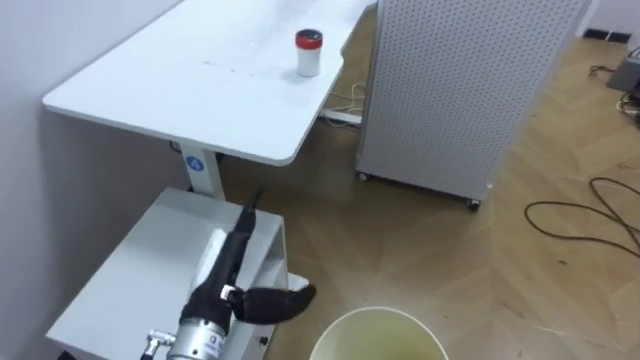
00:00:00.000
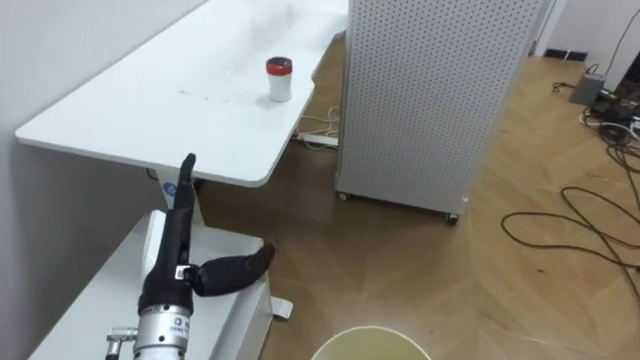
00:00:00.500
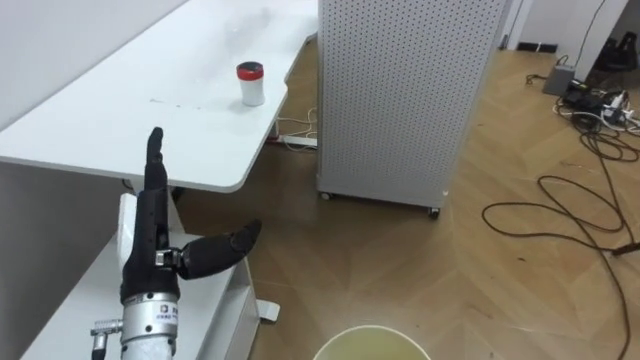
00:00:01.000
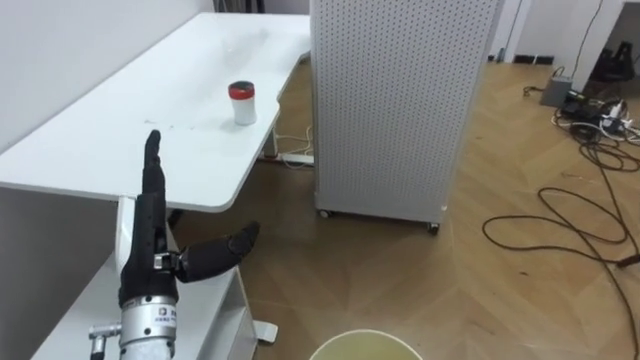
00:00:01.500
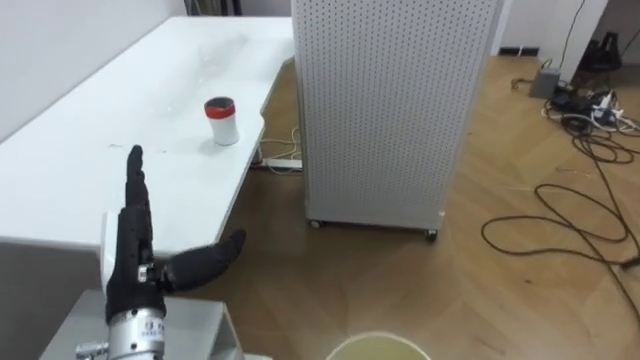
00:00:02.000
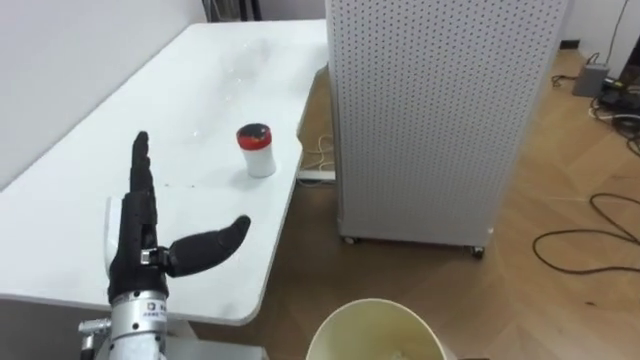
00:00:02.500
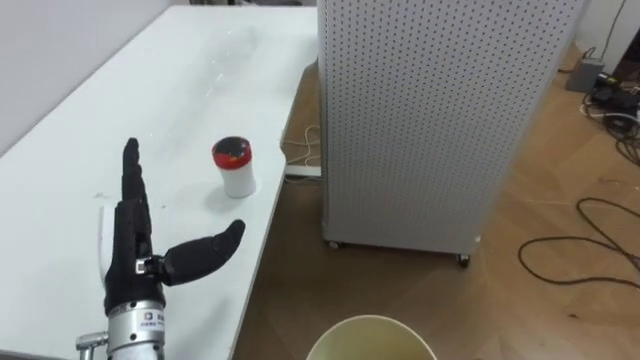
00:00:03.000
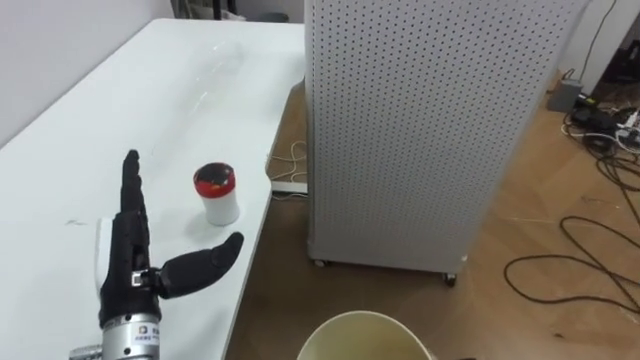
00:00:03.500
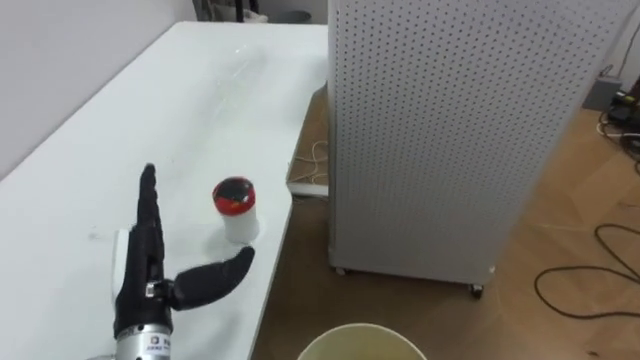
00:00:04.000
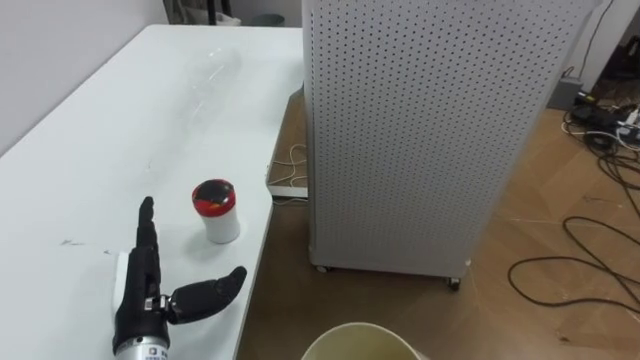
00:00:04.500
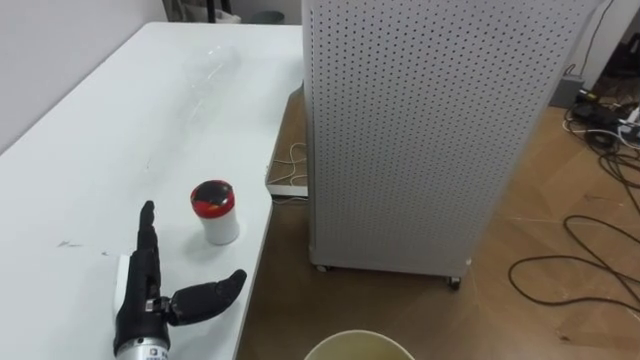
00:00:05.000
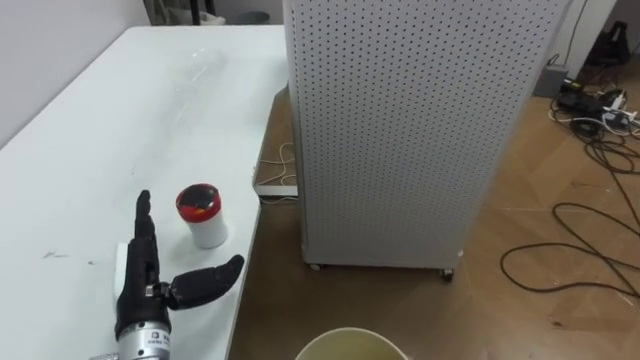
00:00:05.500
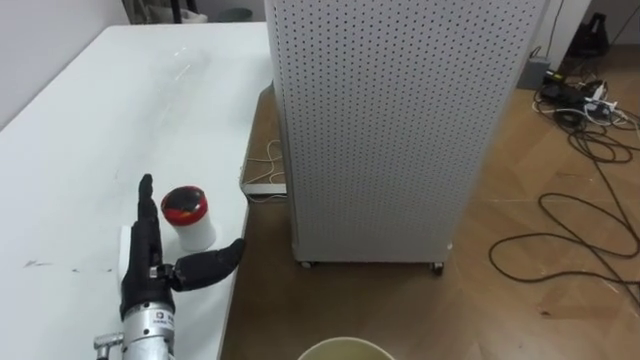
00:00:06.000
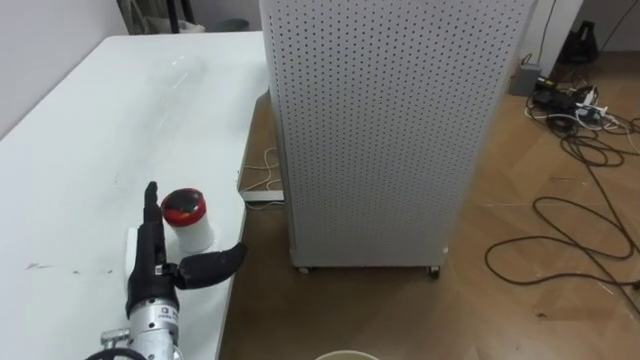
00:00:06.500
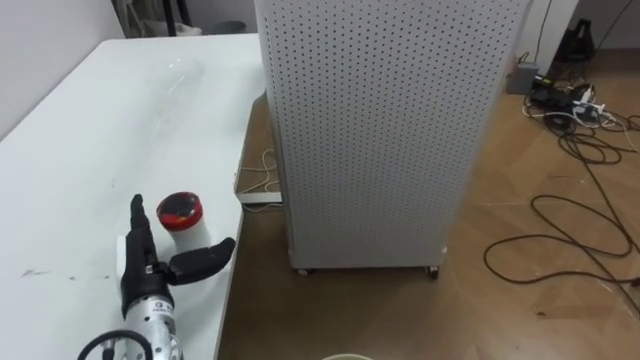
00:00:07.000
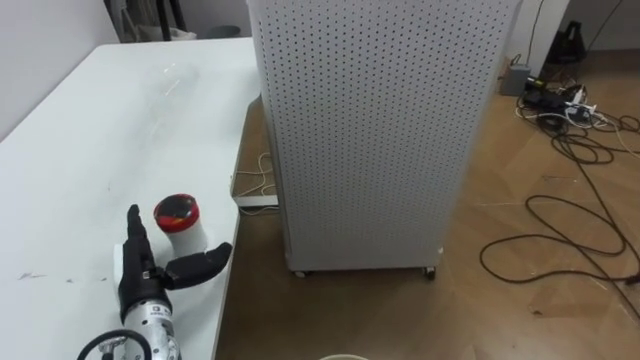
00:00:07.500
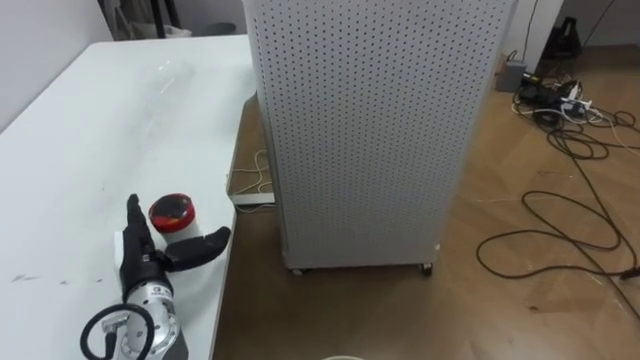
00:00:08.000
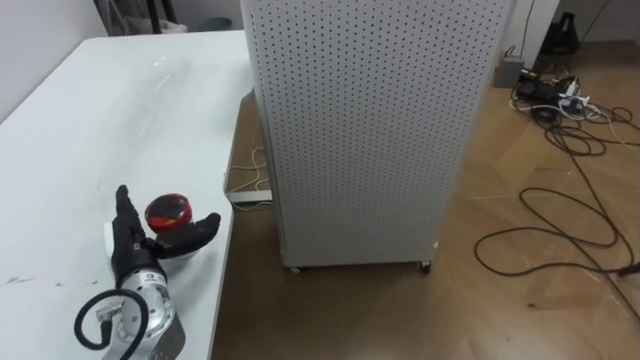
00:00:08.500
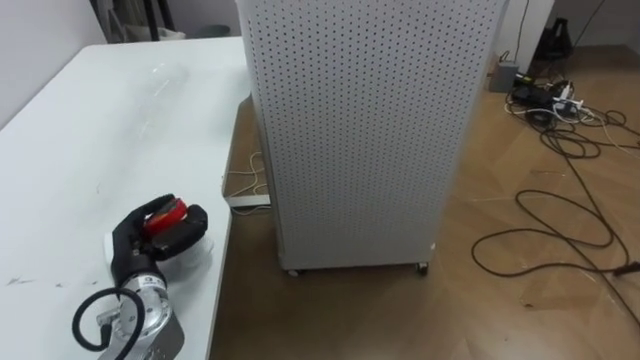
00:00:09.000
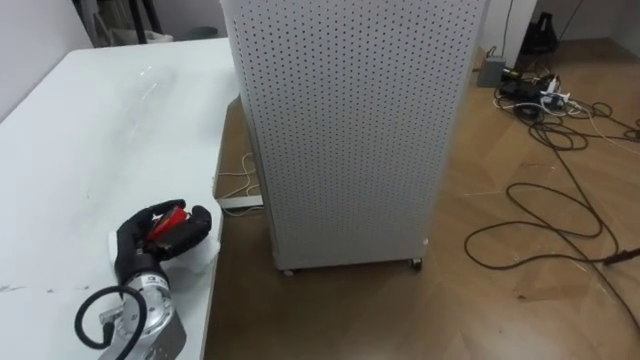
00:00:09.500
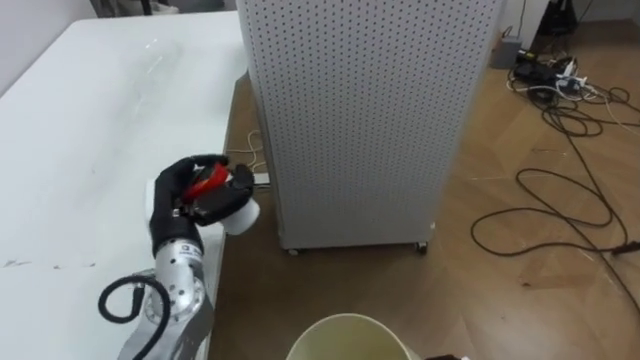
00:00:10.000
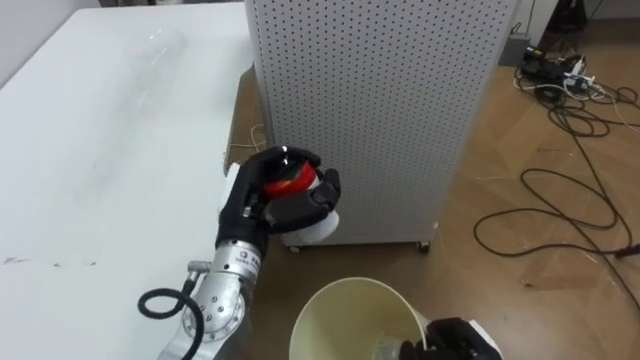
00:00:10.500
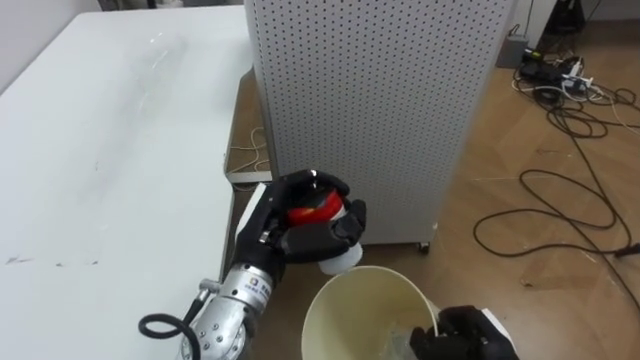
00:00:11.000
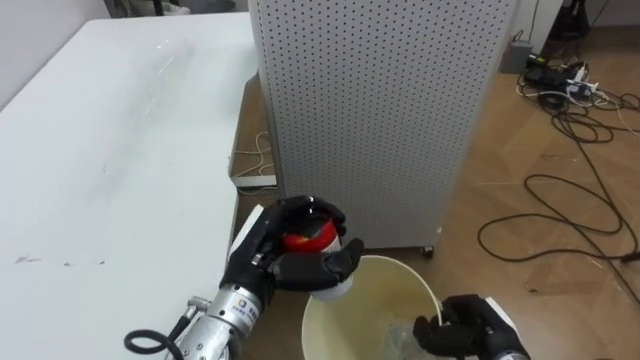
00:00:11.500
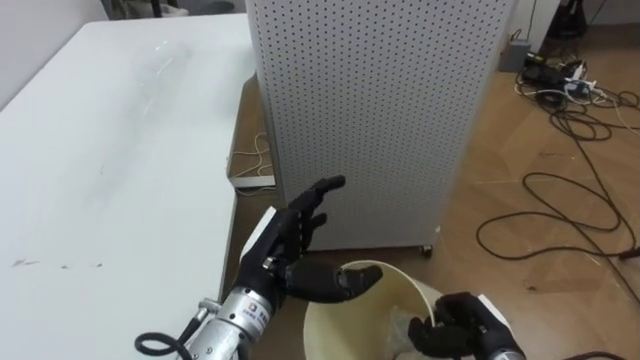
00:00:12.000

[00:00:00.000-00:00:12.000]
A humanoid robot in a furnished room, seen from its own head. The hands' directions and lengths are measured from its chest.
Task of the whole recording: Pick up the light blue package, the candy box, and the dark blue package separately, and put them into the trash can held in your right hand.
00:00:00.000 to 00:00:02.000: The left hand shifts about 10 cm to the left.
00:00:08.000 to 00:00:10.000: The left hand is displaced upward by roughly 5 cm, and closes up.
00:00:10.000 to 00:00:12.000: The left hand goes some 15 cm to the right and backward, and opens its fingers.

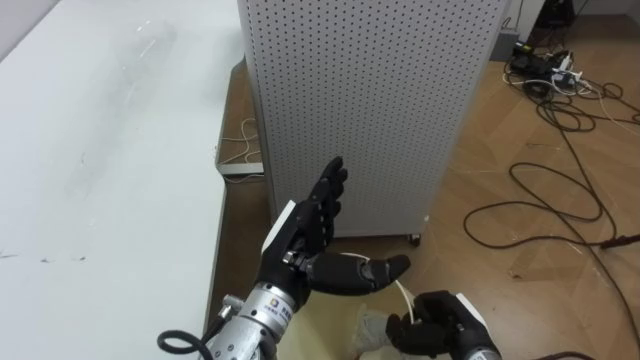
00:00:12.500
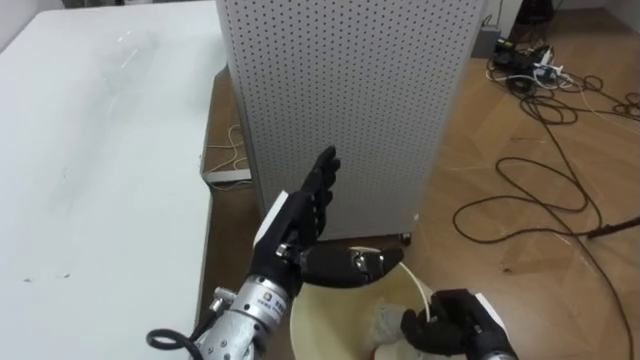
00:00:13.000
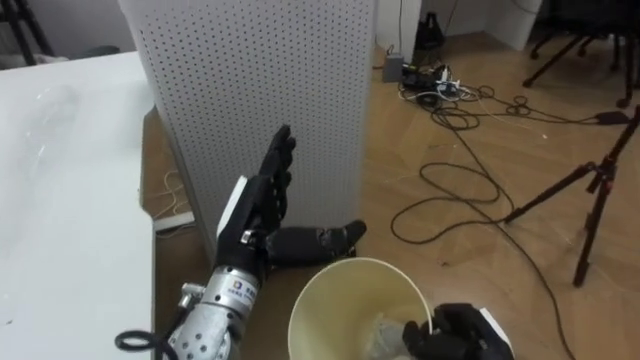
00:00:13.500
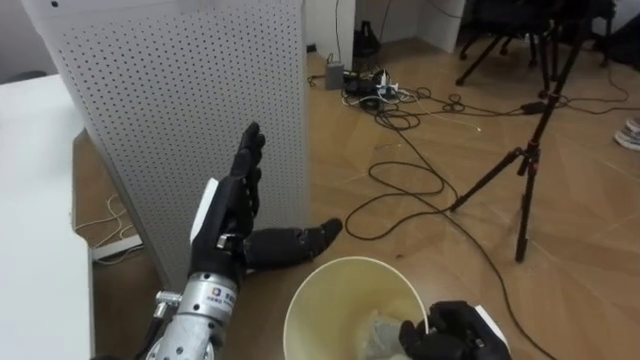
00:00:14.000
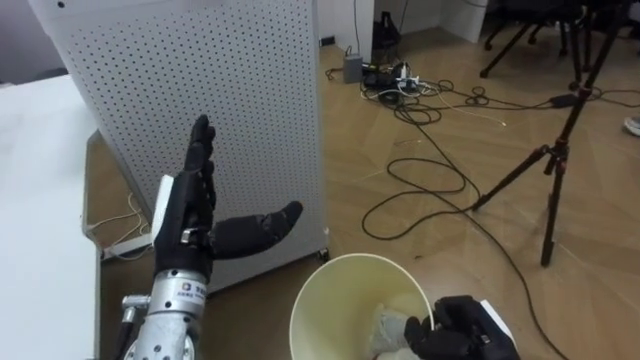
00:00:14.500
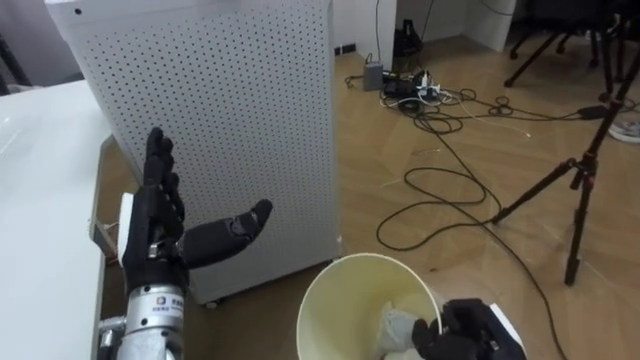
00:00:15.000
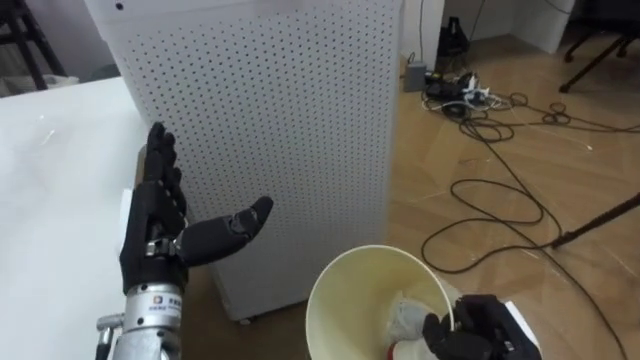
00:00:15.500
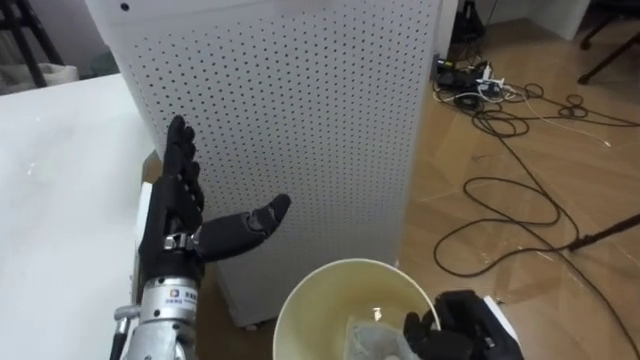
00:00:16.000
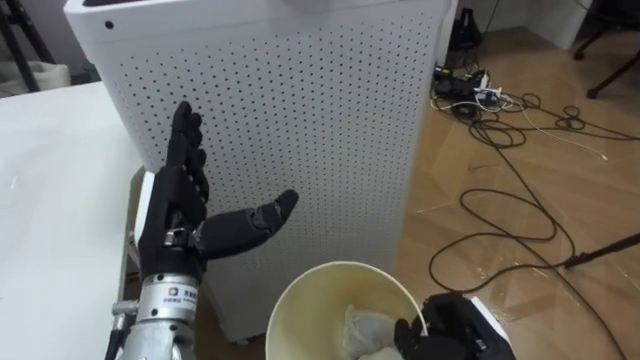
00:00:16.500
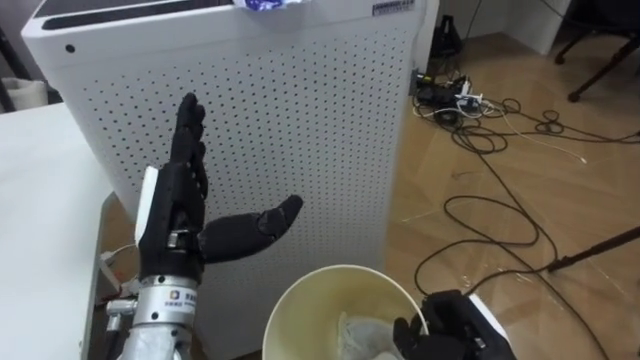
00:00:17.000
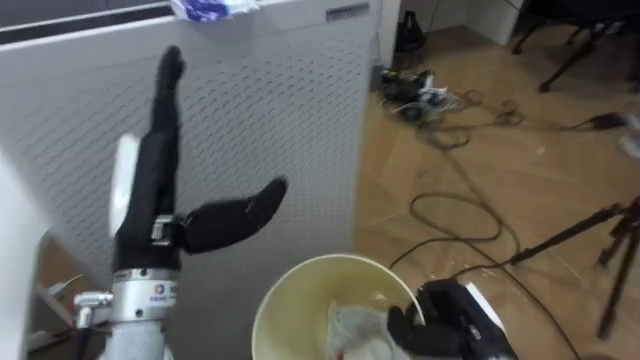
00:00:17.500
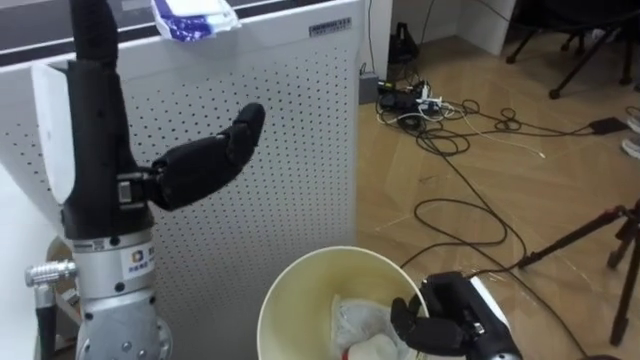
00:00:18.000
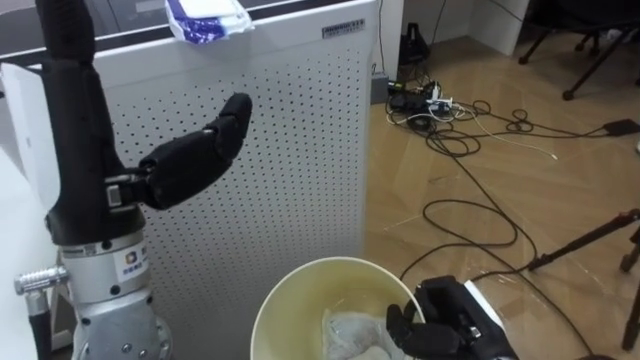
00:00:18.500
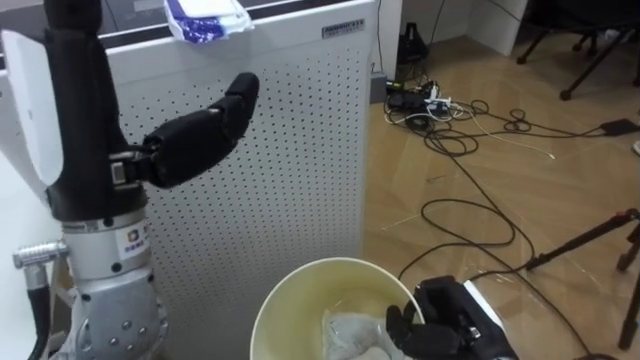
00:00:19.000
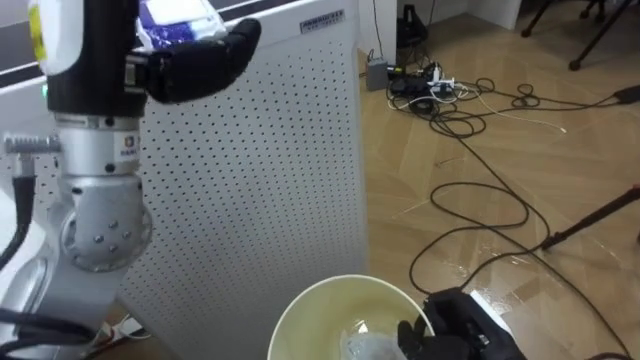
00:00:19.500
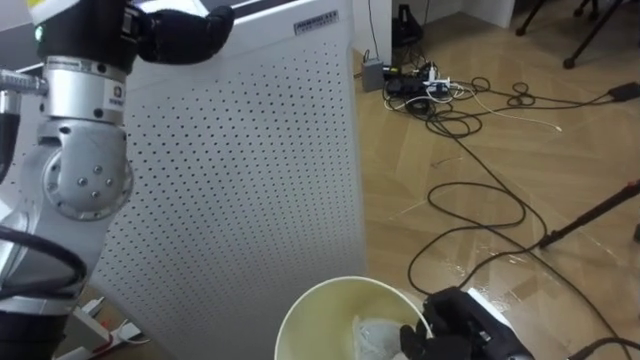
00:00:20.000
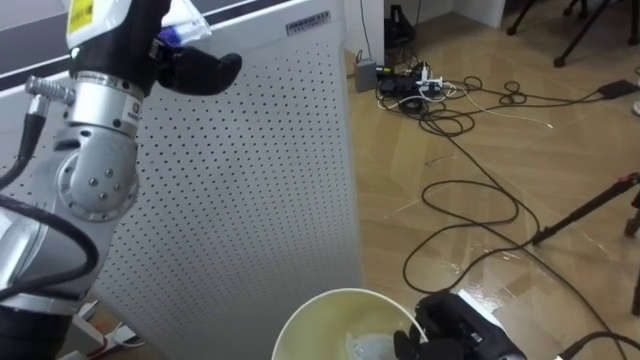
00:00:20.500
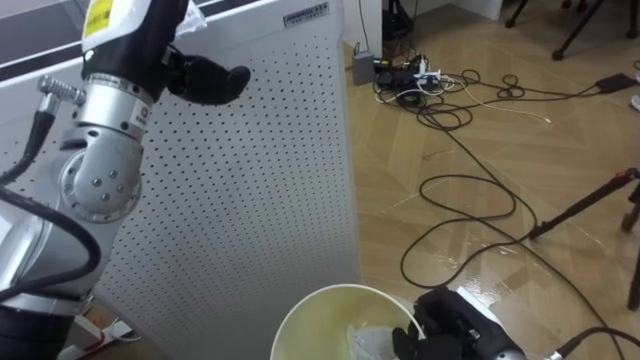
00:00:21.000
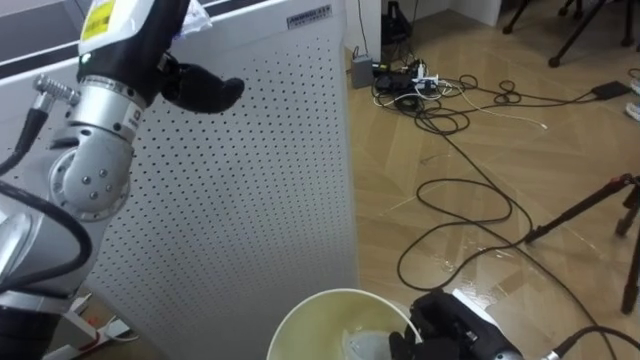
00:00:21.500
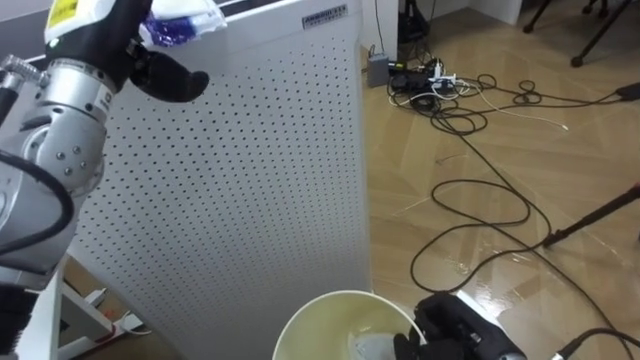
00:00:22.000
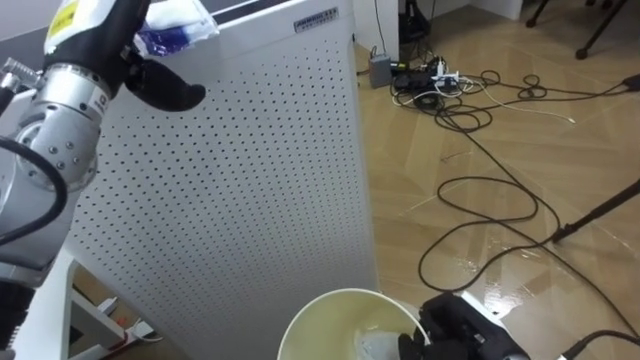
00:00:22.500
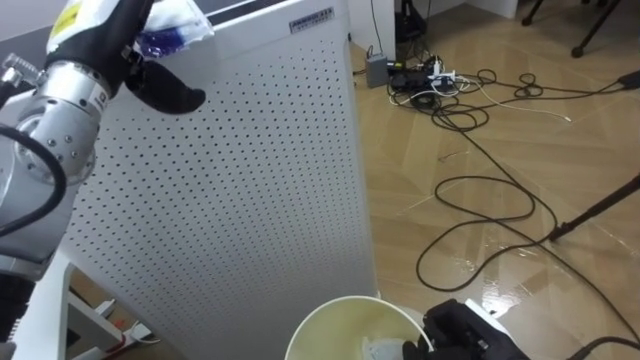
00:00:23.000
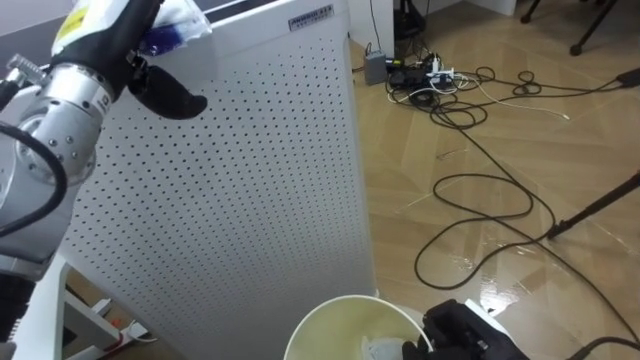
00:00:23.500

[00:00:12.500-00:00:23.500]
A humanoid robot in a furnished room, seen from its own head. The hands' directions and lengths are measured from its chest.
Task of the whole recording: Pick up the light blue package, the candy box, and the dark blue package separately, and put them into the trash can held in your right hand.
00:00:12.500 to 00:00:14.500: The robot faces roughly 25 degrees further to its right. The left hand moves to the left, roughly 10 cm.
00:00:16.000 to 00:00:18.000: The left hand is displaced upward by approximately 15 cm.
00:00:21.500 to 00:00:23.500: The left hand moves approximately 5 cm.
